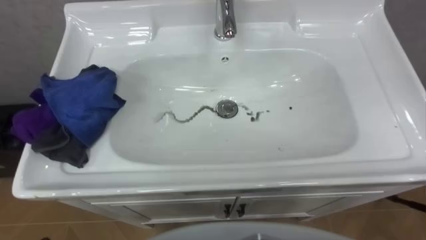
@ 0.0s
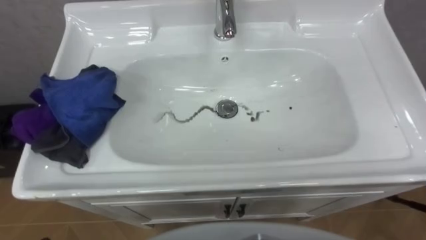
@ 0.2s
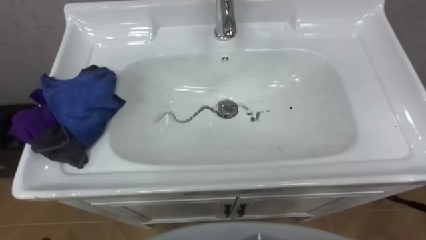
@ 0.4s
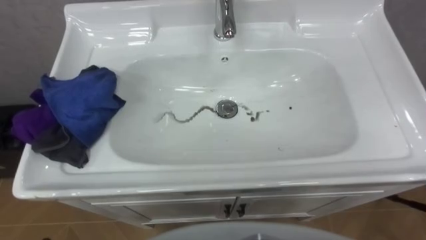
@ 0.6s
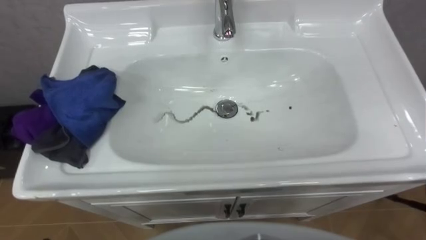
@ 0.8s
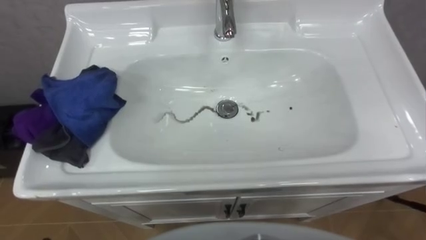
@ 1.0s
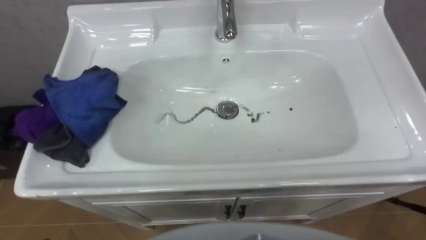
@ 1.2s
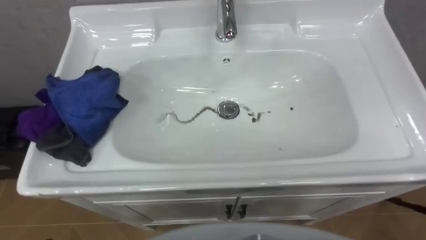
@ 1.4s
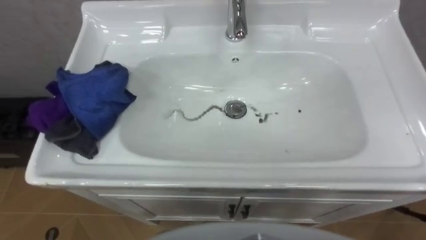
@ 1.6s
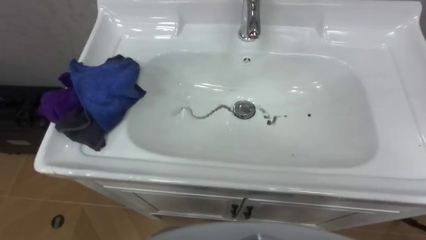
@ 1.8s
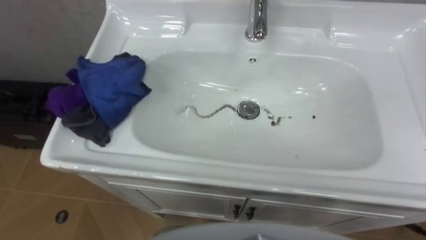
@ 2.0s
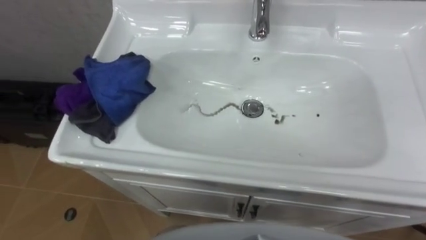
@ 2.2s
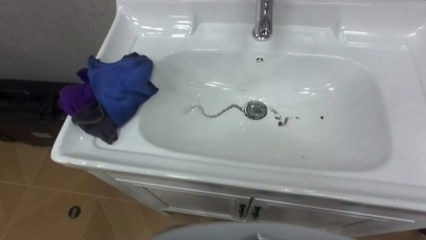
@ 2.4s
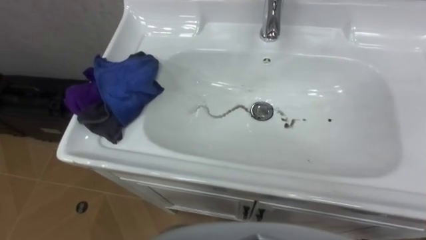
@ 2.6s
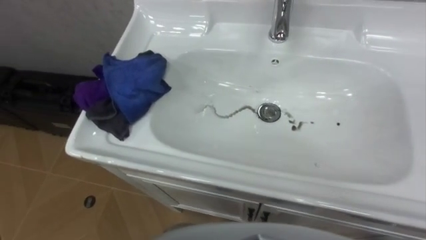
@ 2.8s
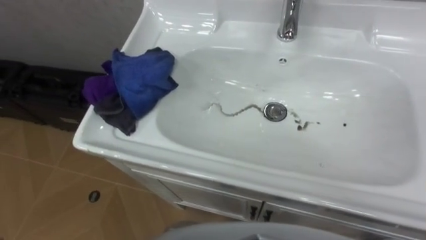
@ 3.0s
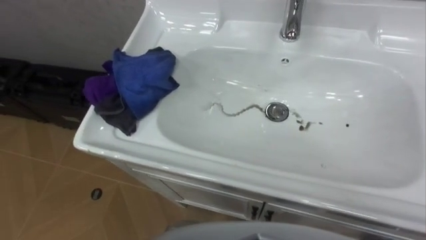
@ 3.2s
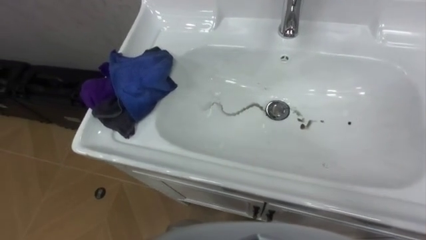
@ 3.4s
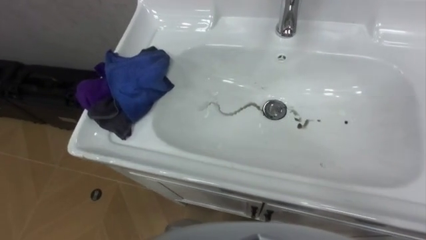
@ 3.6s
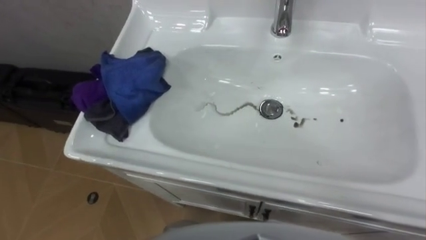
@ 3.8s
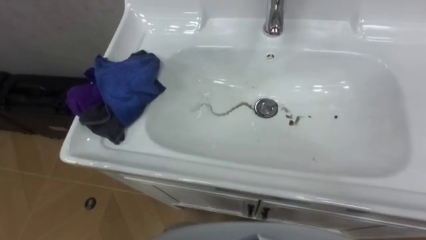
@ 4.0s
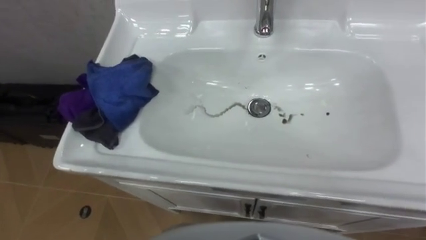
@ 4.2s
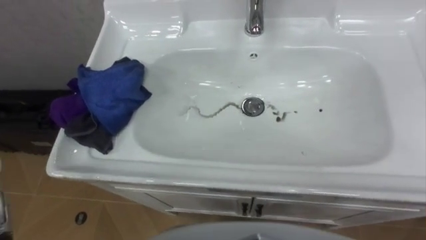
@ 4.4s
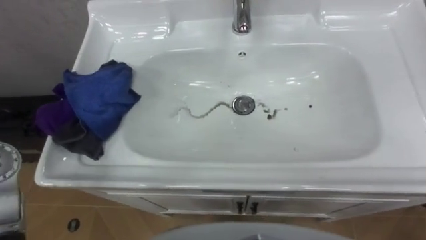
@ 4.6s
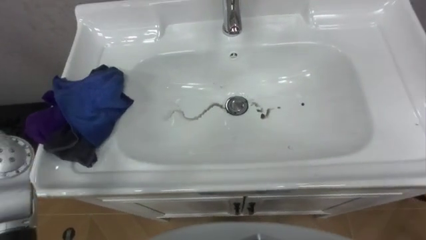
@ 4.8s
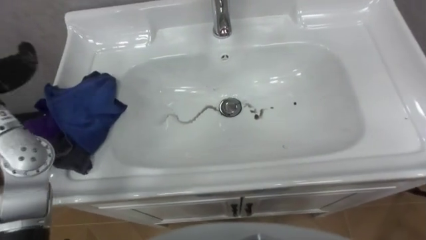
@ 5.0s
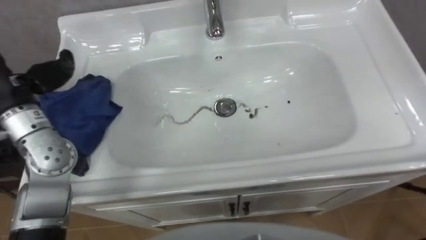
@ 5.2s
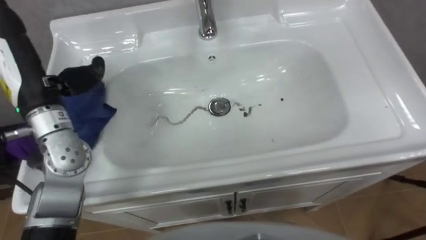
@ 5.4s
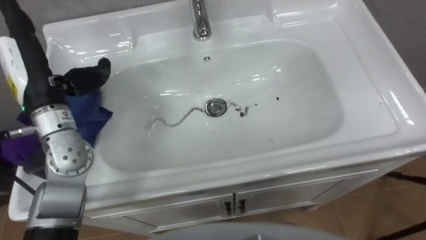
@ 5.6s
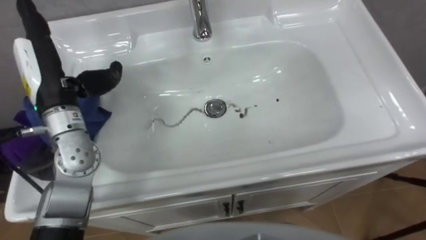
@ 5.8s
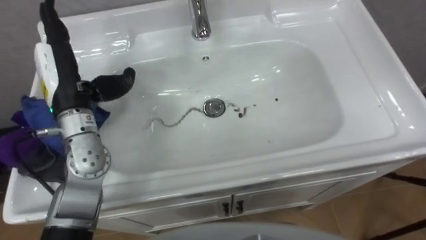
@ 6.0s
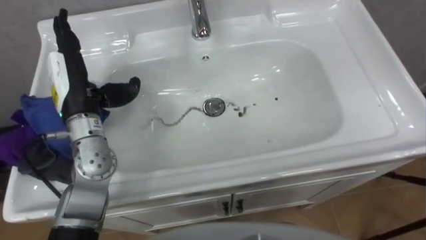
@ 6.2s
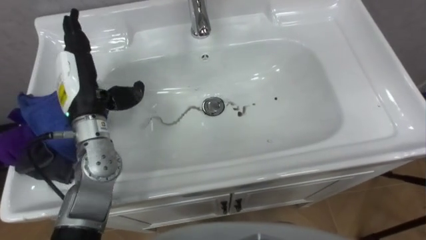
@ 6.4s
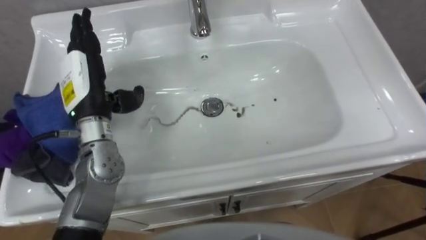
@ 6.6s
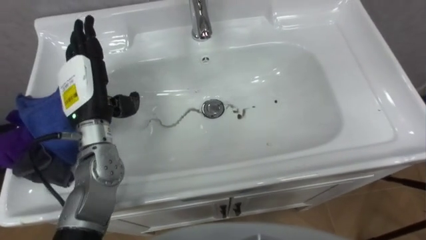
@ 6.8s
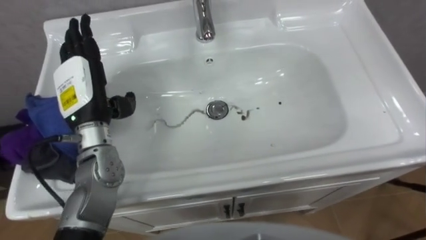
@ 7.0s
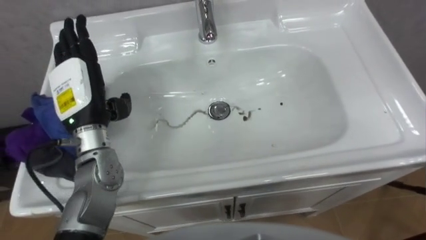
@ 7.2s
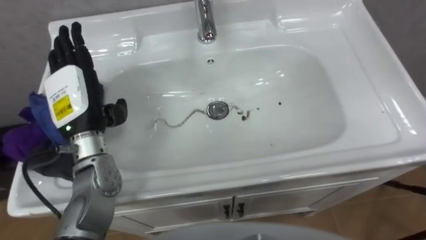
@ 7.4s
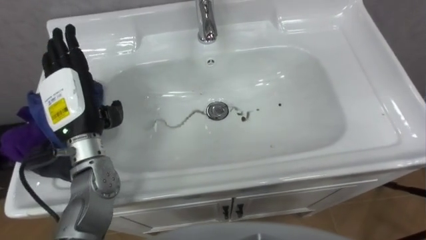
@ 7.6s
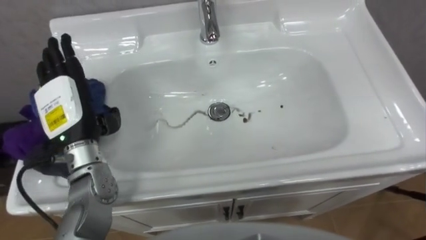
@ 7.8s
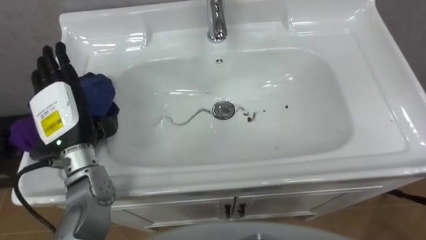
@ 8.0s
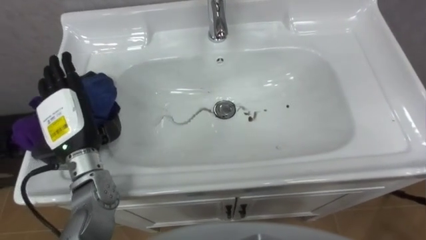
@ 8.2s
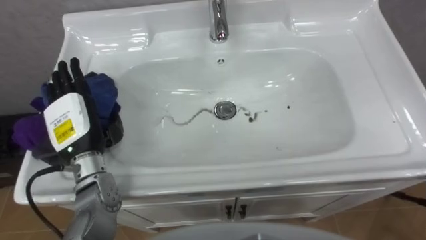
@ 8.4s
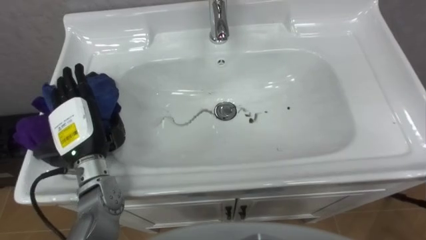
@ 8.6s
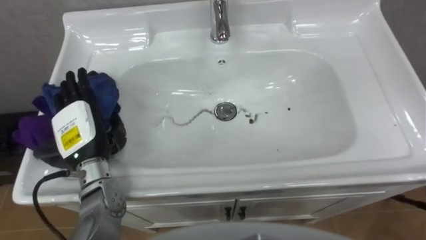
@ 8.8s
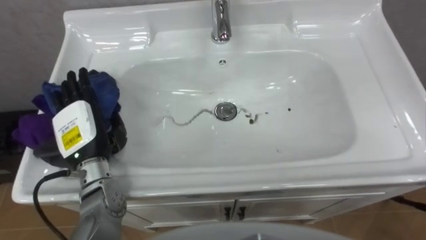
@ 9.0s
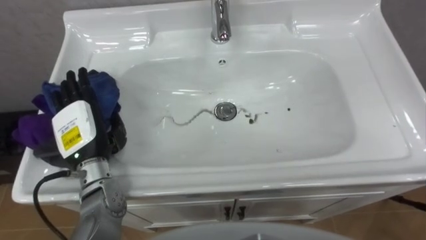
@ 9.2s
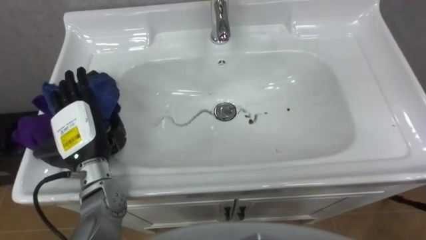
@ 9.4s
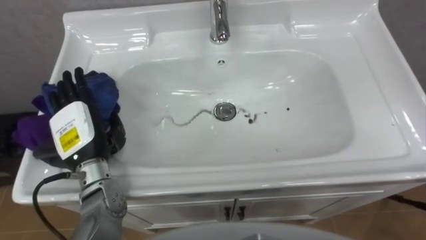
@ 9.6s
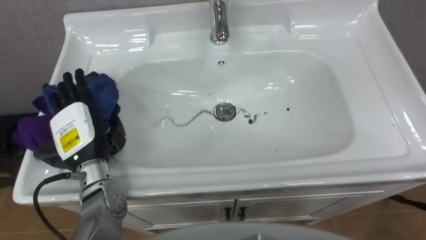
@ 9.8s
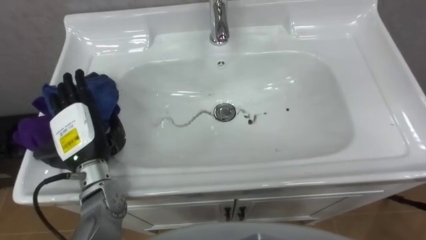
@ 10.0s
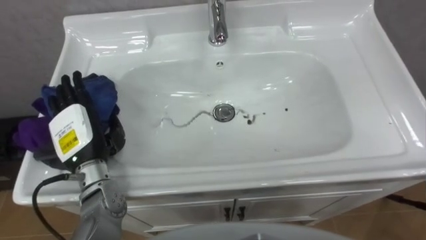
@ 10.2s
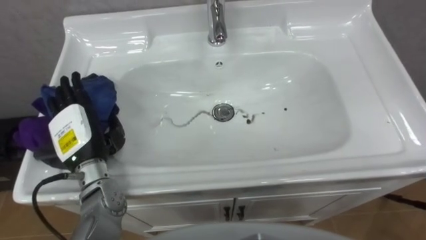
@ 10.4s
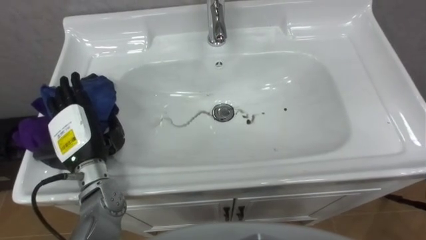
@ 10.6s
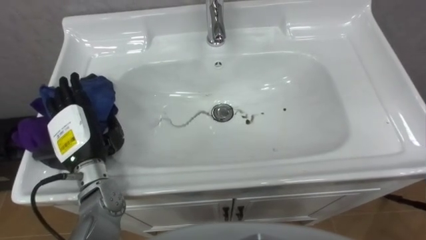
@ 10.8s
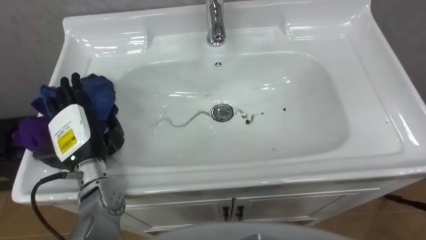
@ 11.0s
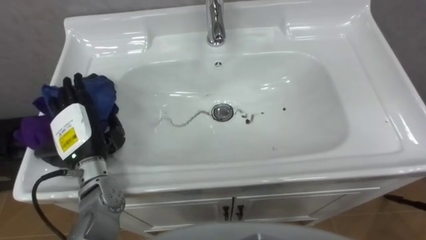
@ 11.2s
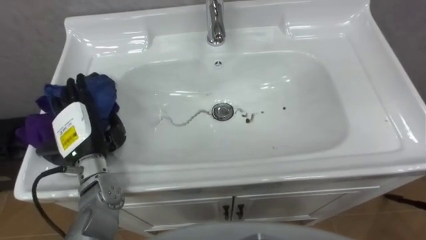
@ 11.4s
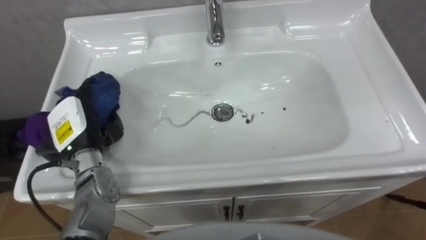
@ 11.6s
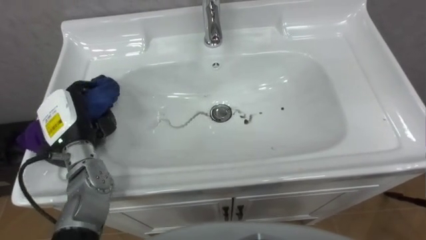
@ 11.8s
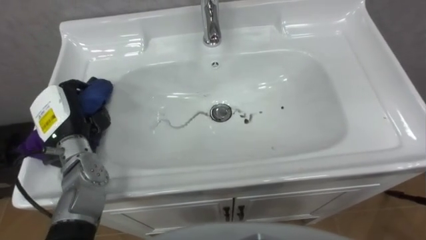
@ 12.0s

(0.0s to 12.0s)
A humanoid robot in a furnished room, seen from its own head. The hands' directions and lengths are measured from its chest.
Task of the whole recording: Use the cloth on the right to wipe away the black stain in the sink.
7.6s - 9.0s: The left hand moves downward, about 5 cm.
10.4s - 12.0s: The left hand ends up about 5 cm from where it was, and closes up.

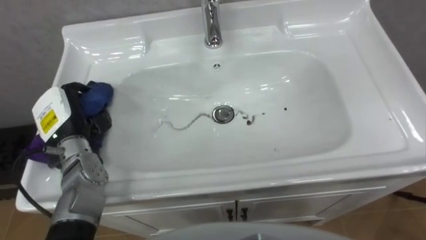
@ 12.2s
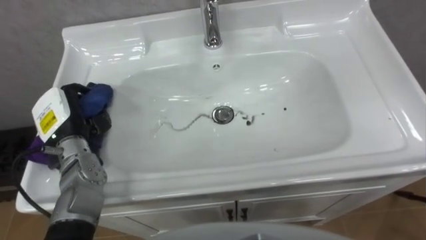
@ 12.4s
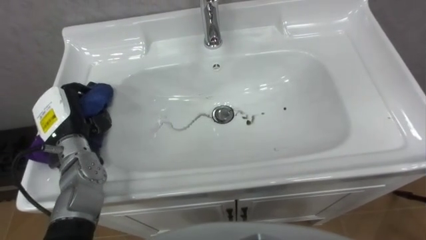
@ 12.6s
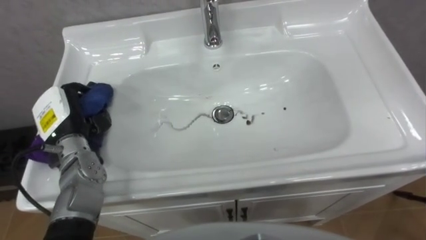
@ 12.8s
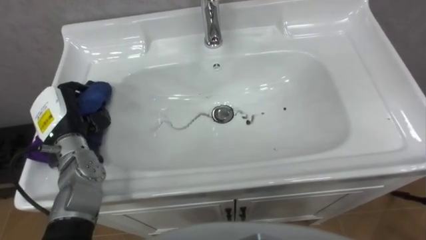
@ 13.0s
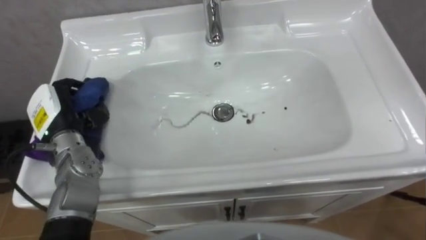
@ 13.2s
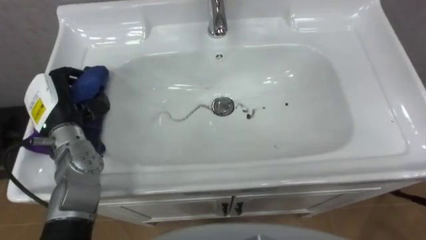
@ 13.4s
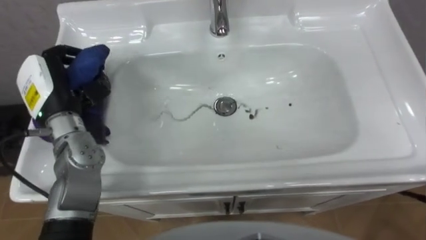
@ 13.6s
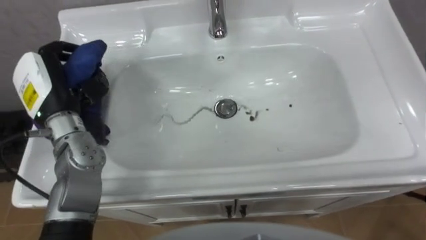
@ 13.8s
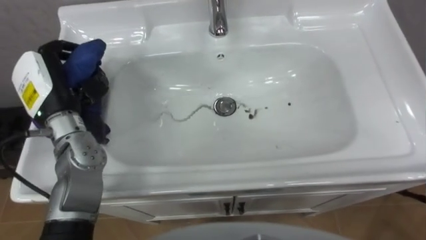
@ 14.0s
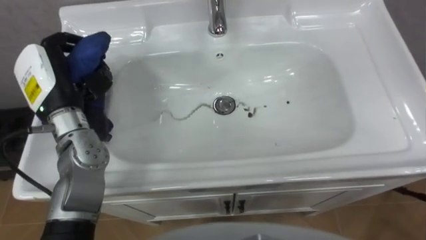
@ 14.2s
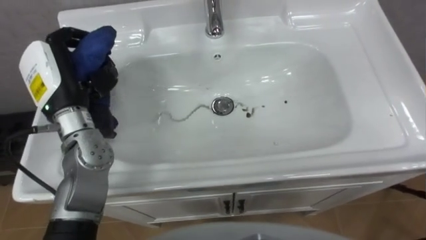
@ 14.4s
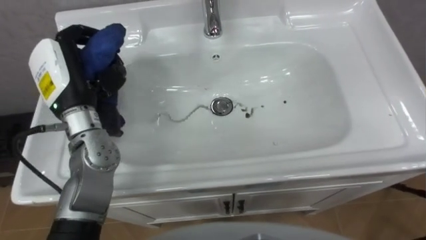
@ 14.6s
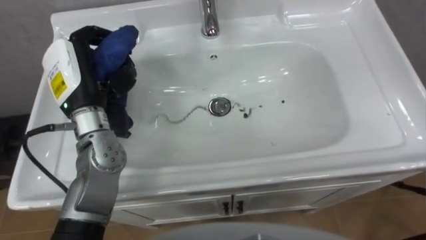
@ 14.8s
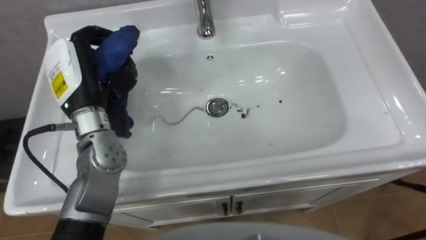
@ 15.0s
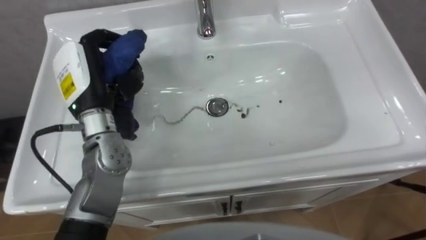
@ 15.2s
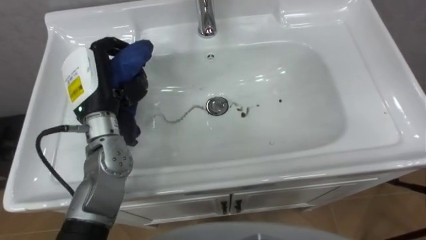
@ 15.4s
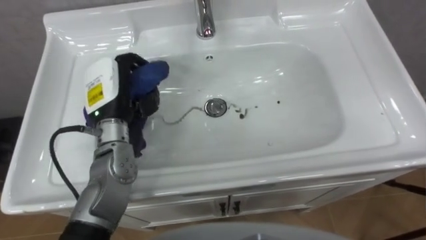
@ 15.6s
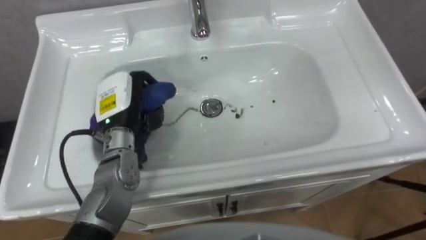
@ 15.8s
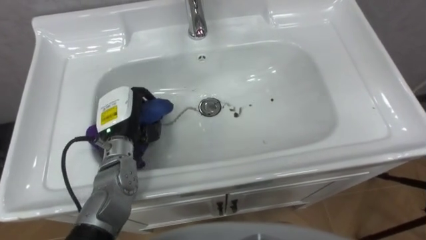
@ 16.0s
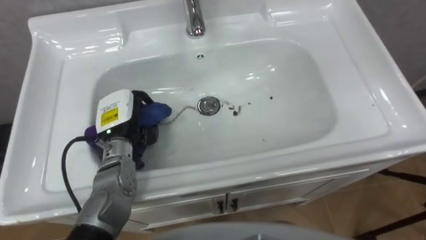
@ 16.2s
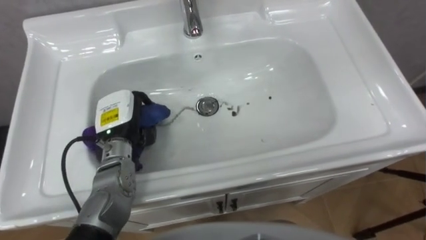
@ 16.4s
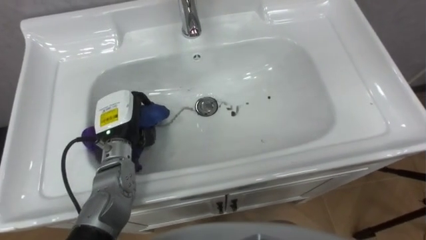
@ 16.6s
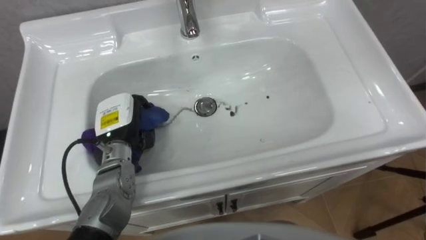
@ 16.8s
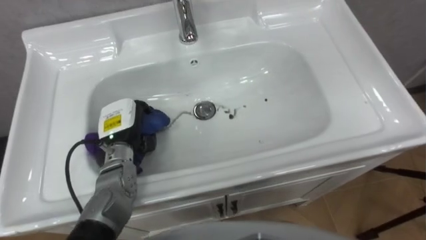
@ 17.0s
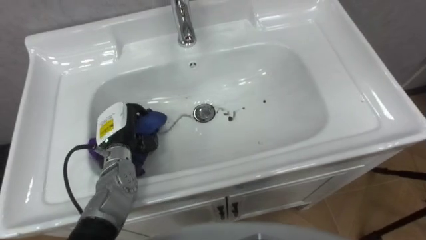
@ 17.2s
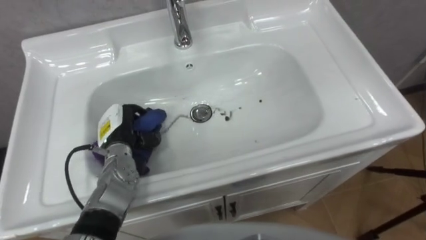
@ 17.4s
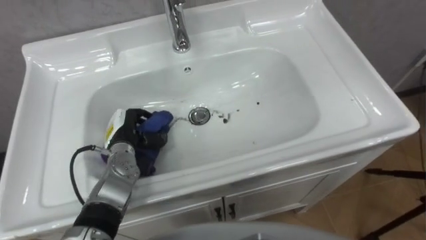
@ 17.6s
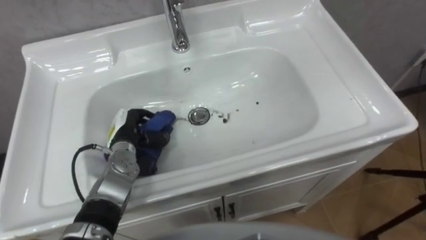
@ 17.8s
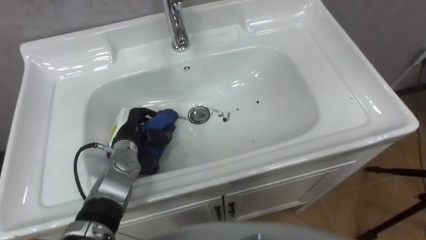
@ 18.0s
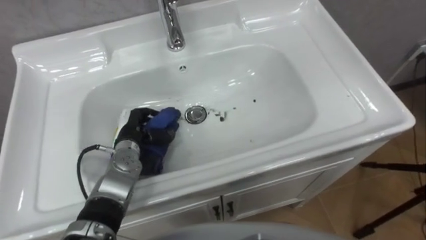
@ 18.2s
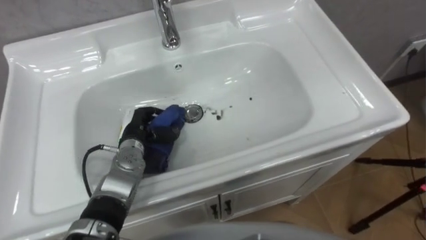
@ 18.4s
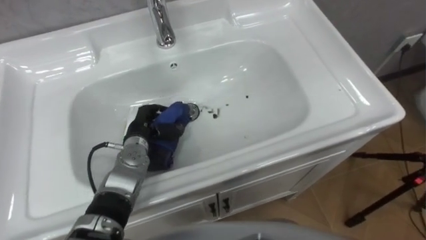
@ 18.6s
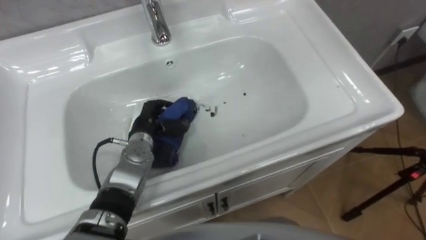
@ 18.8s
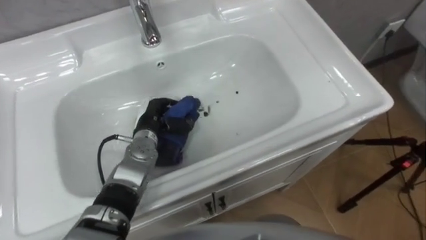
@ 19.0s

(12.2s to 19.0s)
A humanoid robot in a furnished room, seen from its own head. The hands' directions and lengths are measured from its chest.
Task of the whole recording: Use the cloth on the right to wipe away the black stain in the sink.
12.2s - 13.6s: The left hand travels upward by some 10 cm.
13.6s - 15.0s: The left hand travels to the right by approximately 5 cm.
15.0s - 16.2s: The left hand travels downward by about 10 cm.
16.2s - 17.6s: The left hand shifts about 5 cm downward.
17.6s - 19.0s: The left hand travels to the right by roughly 5 cm.
